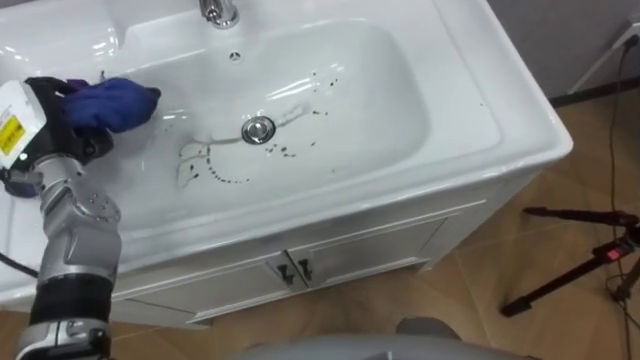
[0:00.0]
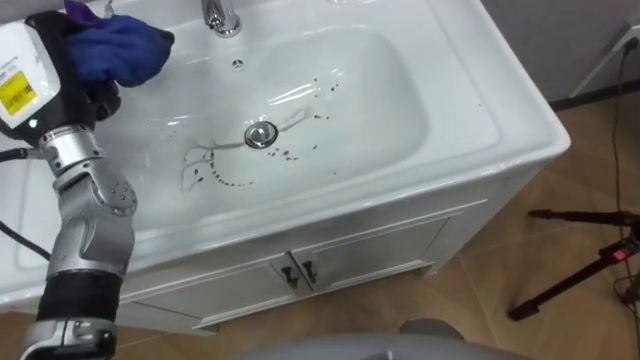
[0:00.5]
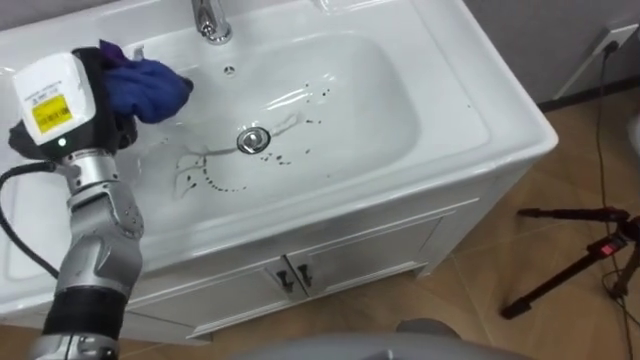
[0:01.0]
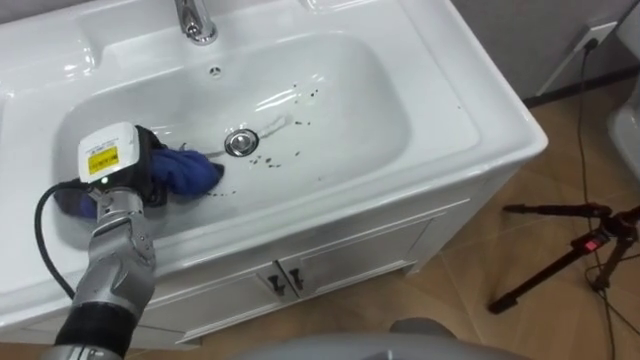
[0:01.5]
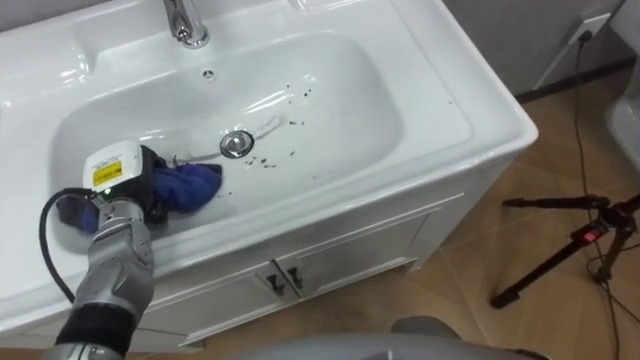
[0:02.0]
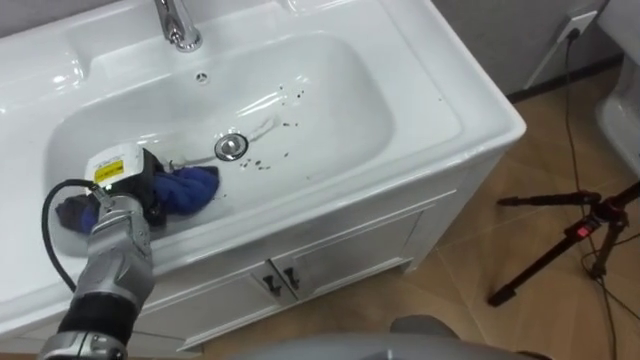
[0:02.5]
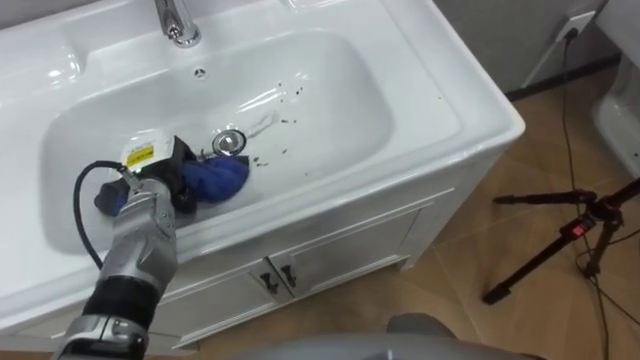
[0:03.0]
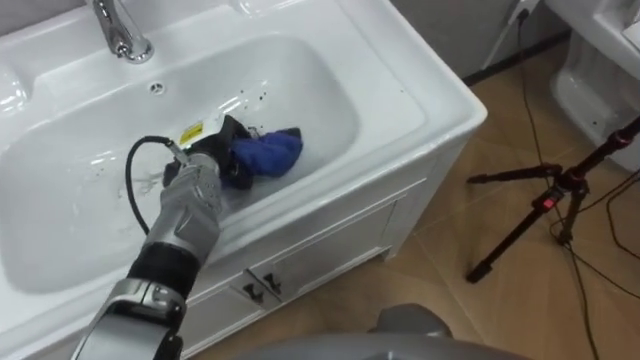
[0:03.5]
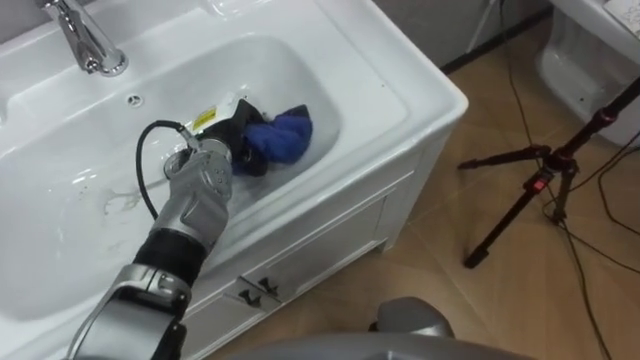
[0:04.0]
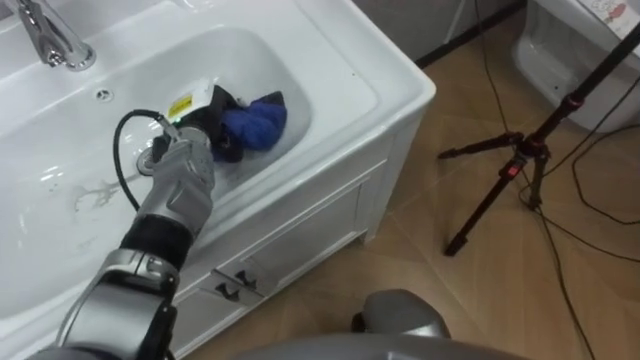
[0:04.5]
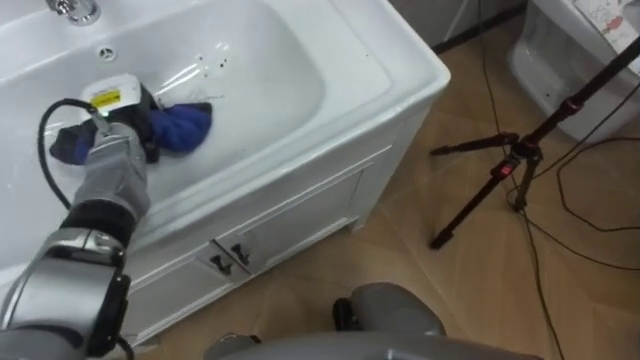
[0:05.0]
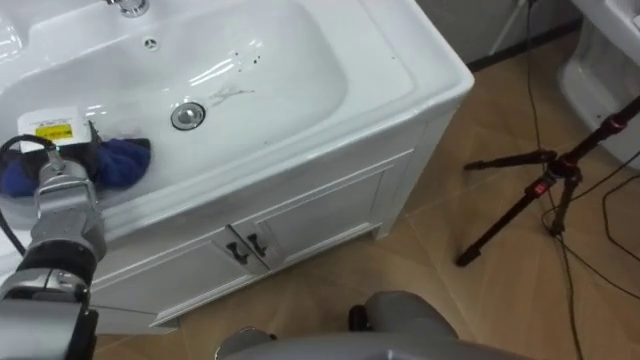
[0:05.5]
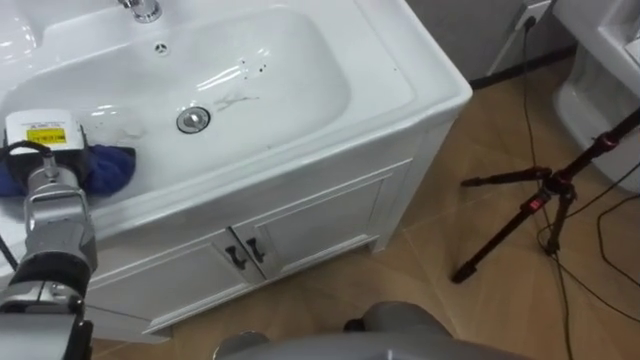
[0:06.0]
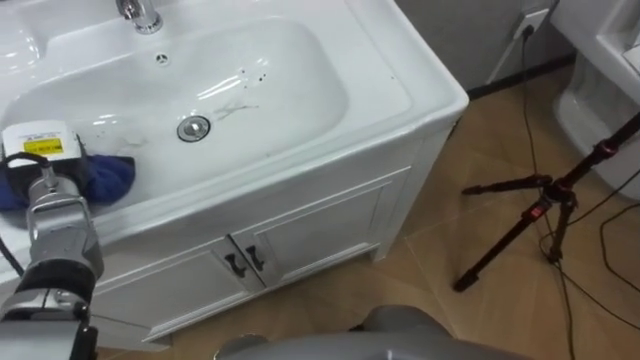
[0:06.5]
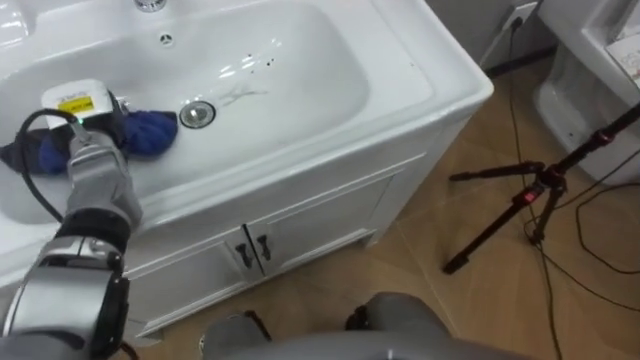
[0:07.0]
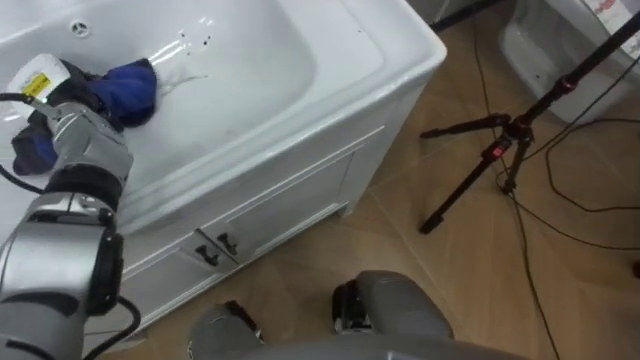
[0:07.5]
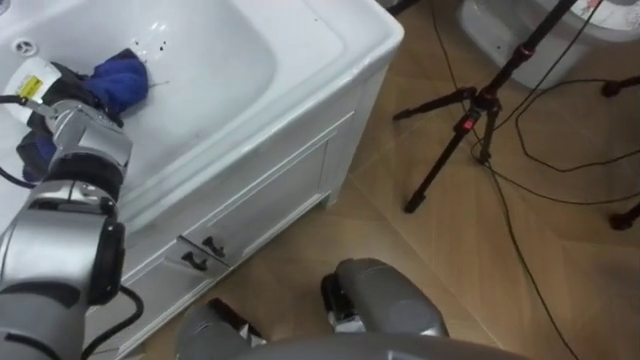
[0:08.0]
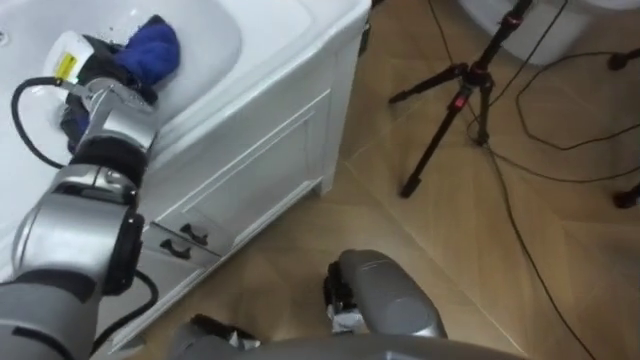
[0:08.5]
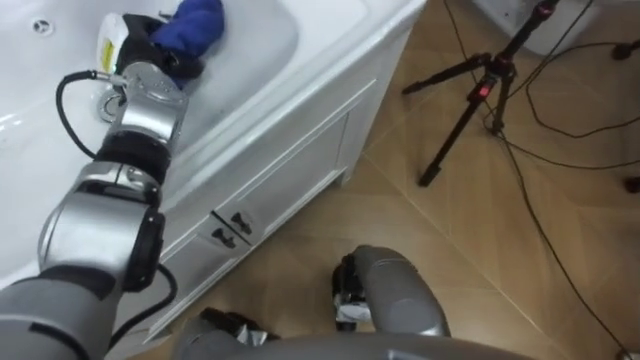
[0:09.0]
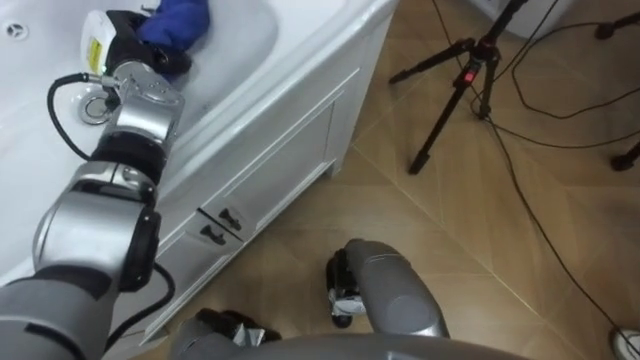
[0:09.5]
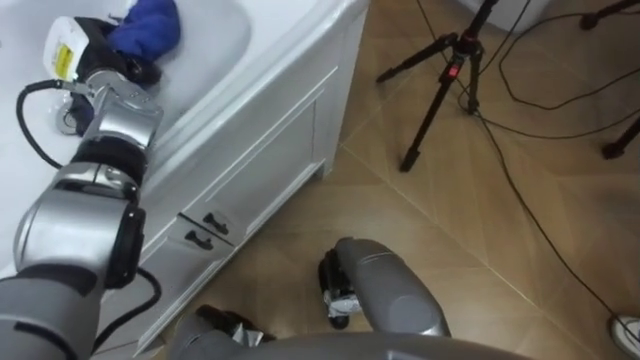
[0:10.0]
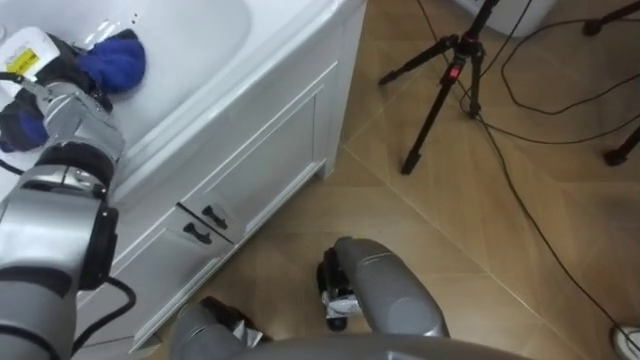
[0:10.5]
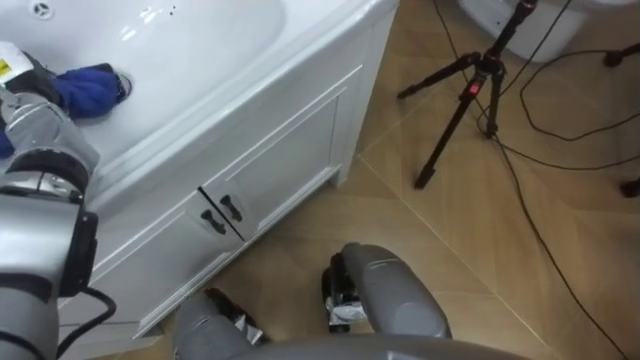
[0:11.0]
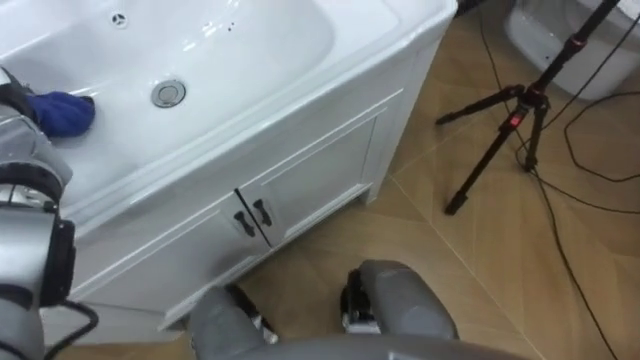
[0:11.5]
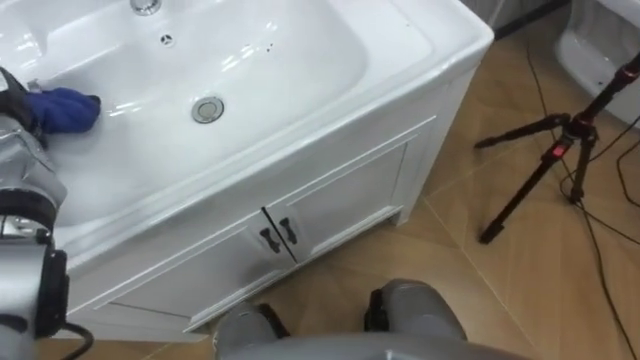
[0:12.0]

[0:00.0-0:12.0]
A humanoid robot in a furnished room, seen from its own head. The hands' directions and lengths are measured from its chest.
Task of the whole recording: Use the cloth on the right to wipe away the black stain in the sink.
0:00.0 to 0:02.0: The left hand is displaced downward and to the right by about 10 cm.
0:02.0 to 0:04.0: The left hand moves to the right and forward, about 15 cm.
0:04.0 to 0:06.0: The left hand moves to the left, roughly 20 cm.
0:06.0 to 0:08.0: The left hand moves forward, approximately 5 cm.

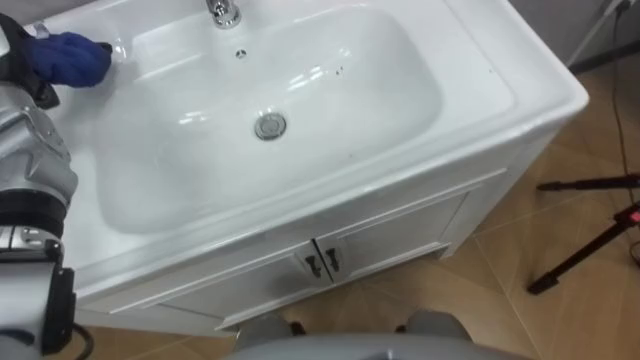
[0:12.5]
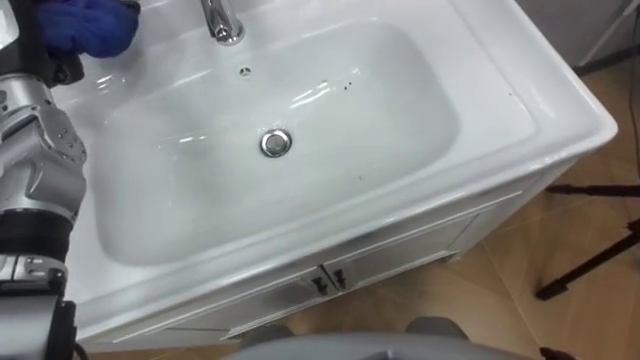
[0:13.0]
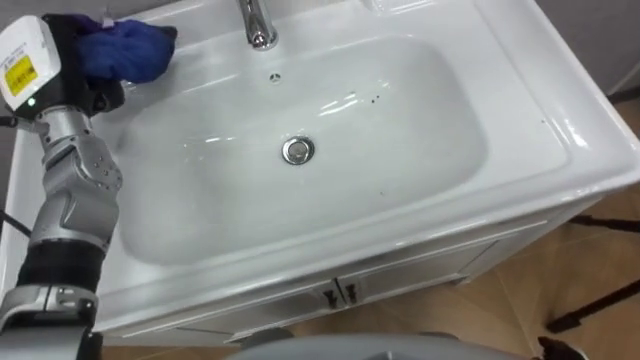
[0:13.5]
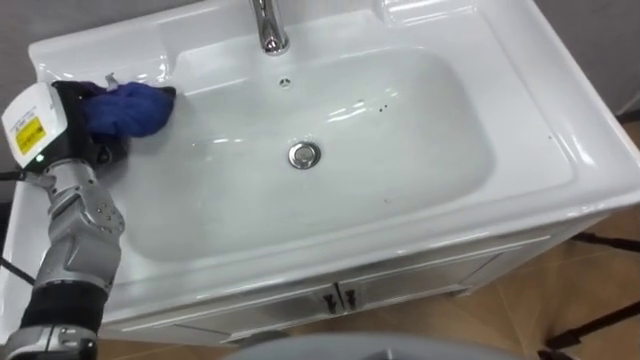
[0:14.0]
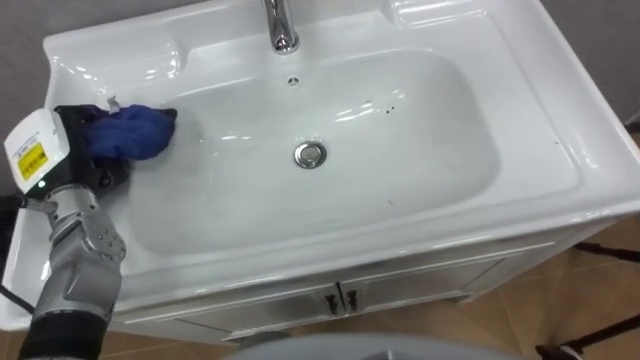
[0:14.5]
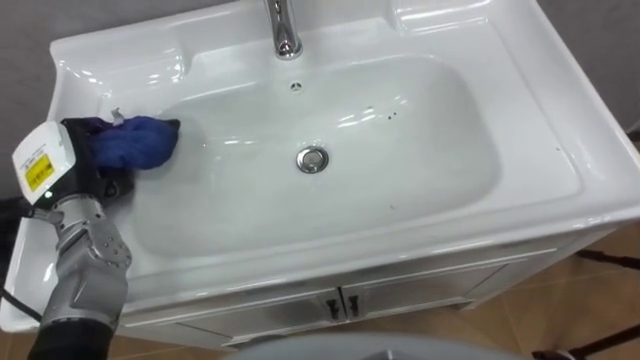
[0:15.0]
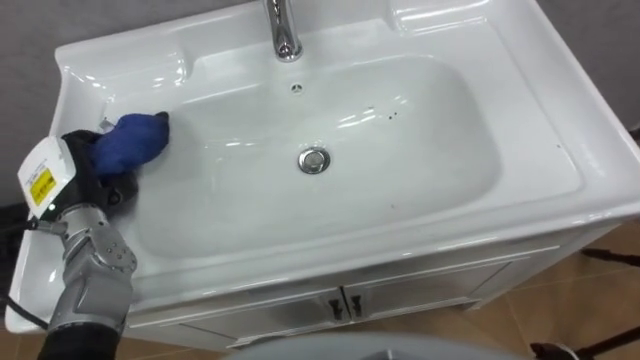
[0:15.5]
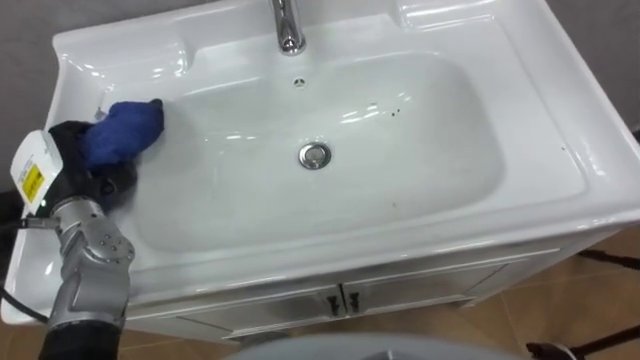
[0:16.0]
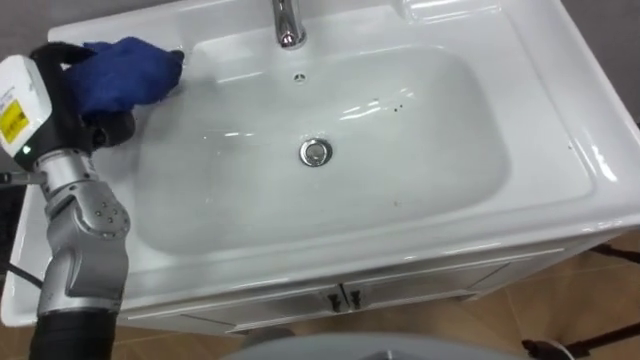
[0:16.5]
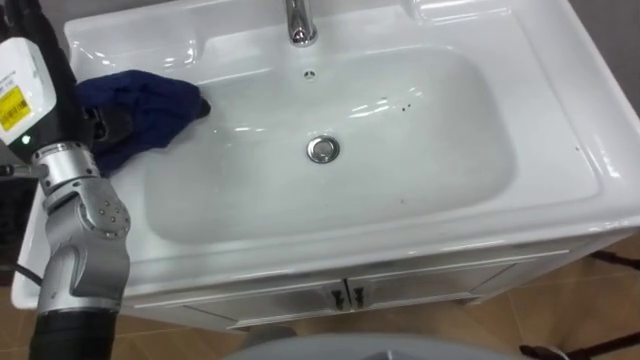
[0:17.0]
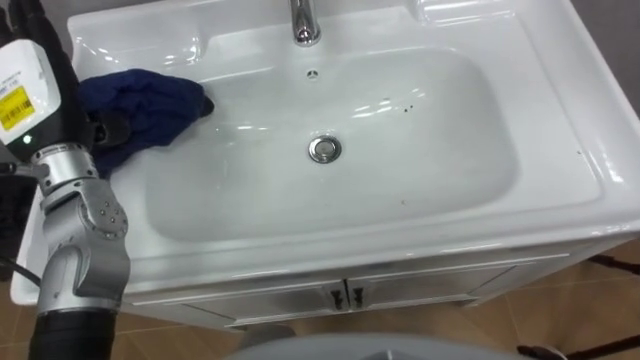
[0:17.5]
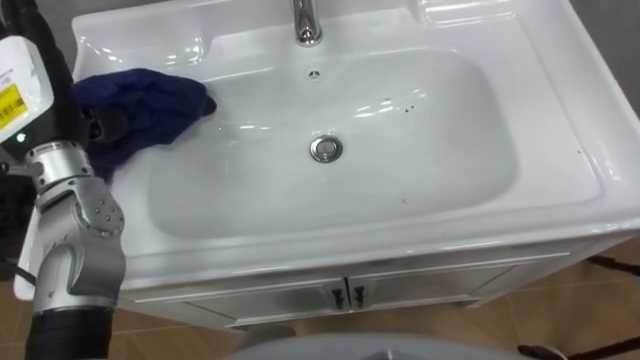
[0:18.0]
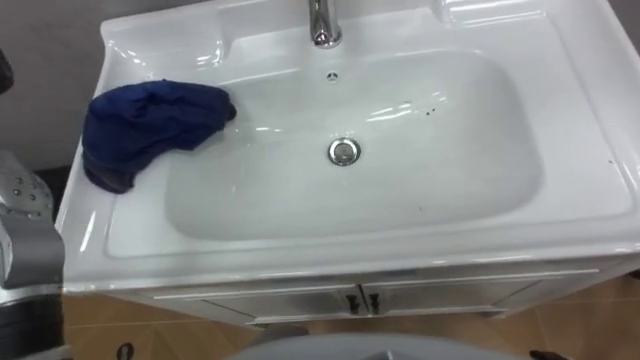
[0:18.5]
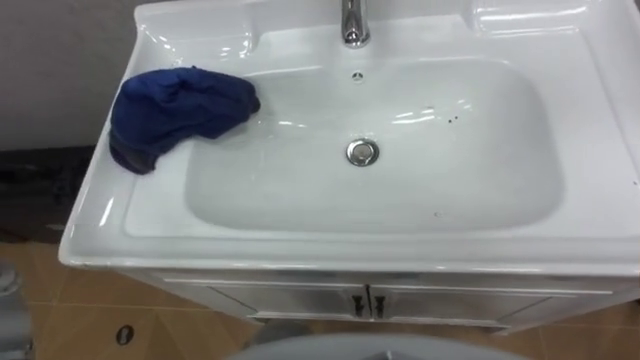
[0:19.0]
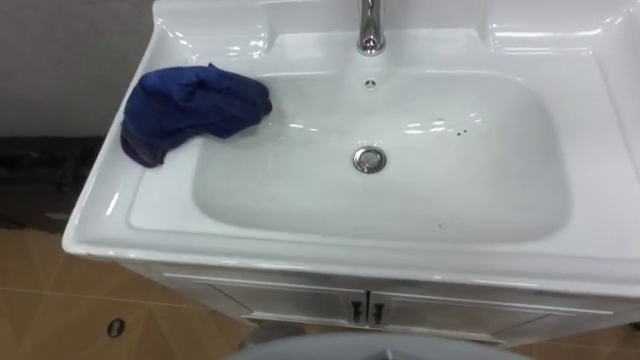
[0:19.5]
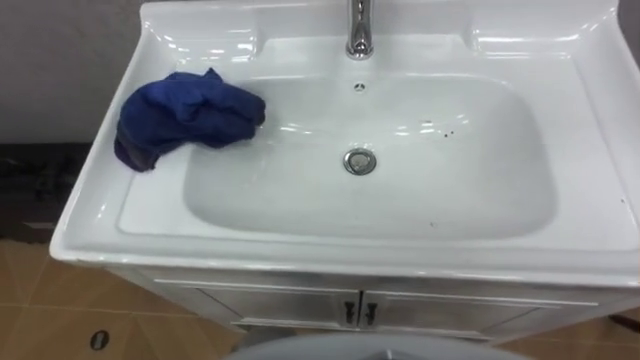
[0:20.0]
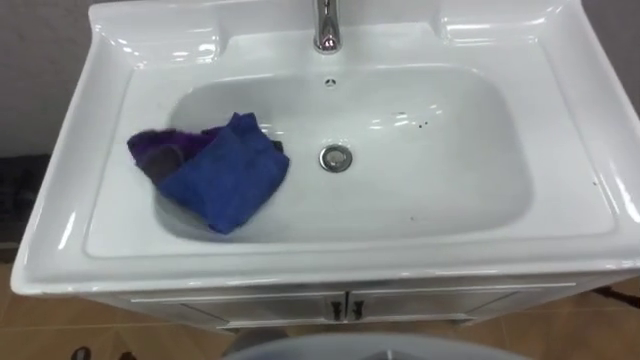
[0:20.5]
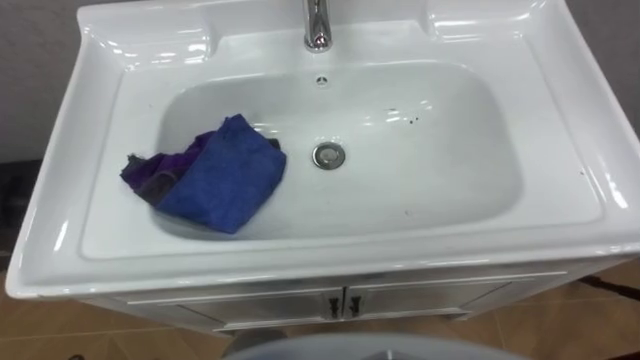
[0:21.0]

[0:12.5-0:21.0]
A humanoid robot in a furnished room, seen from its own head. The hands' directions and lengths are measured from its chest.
Task of the whole recording: Use the cloth on the right to wipe away the black stain in the sink.
0:14.5 to 0:16.5: The left hand travels upward by roughly 5 cm.
